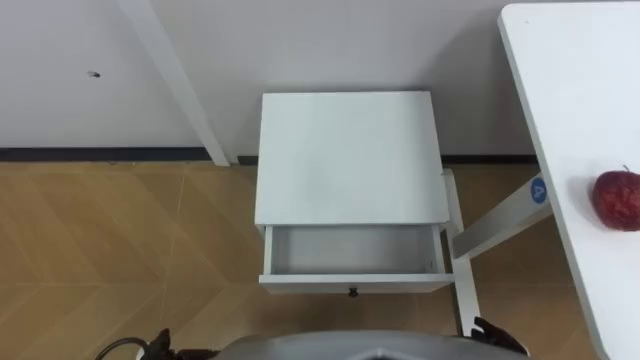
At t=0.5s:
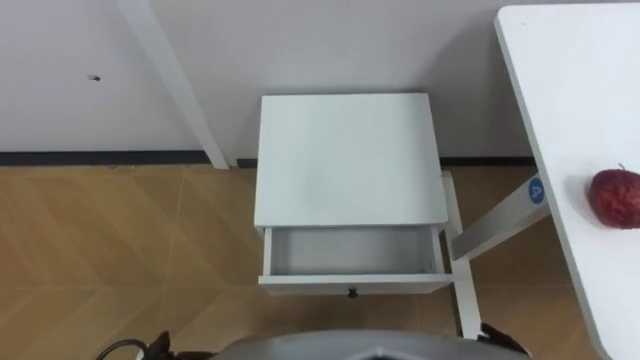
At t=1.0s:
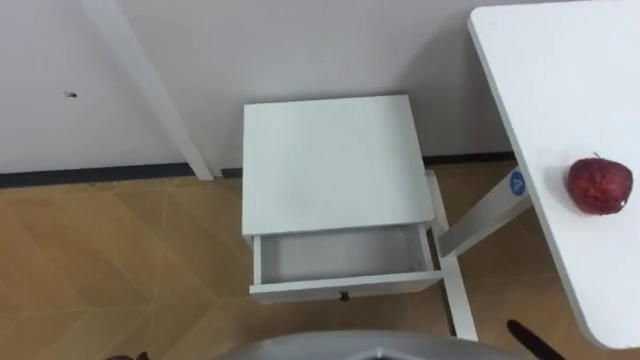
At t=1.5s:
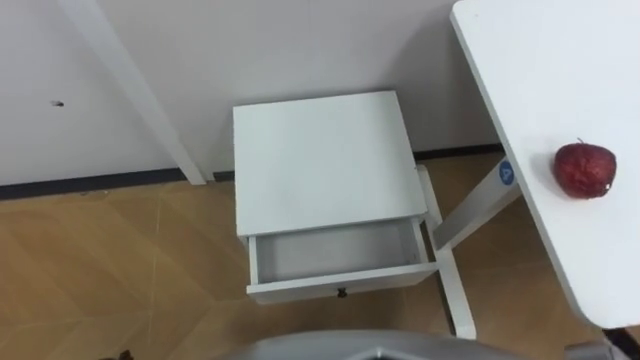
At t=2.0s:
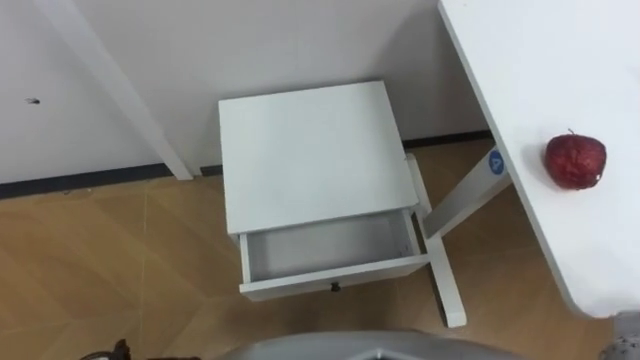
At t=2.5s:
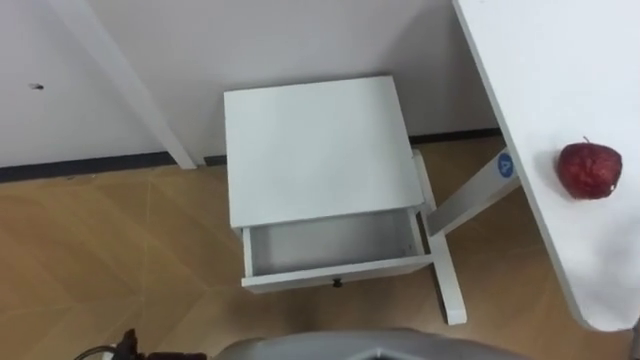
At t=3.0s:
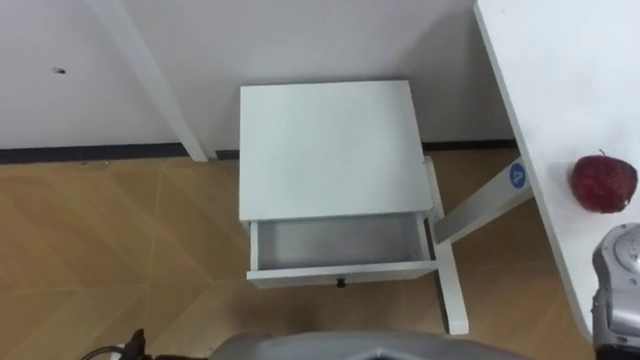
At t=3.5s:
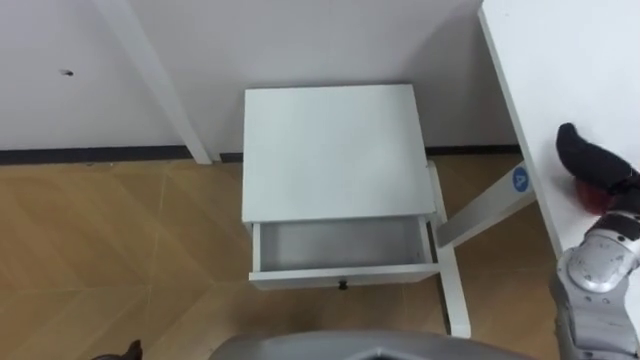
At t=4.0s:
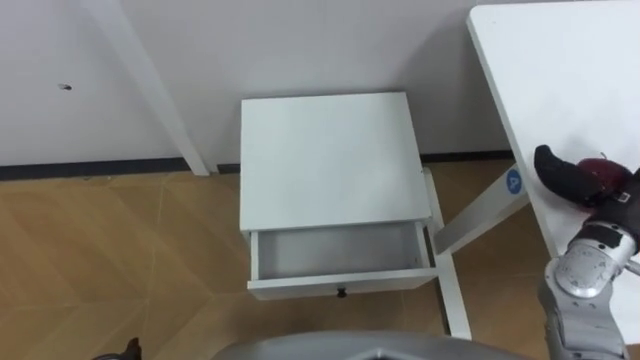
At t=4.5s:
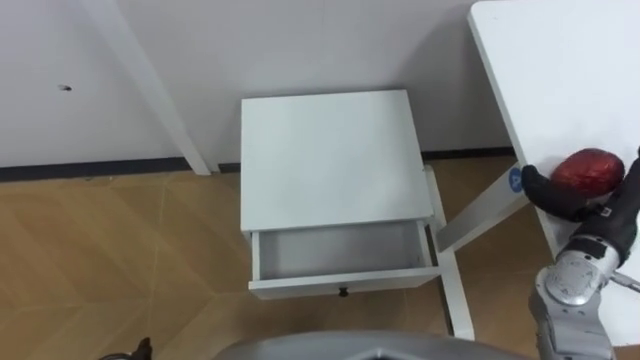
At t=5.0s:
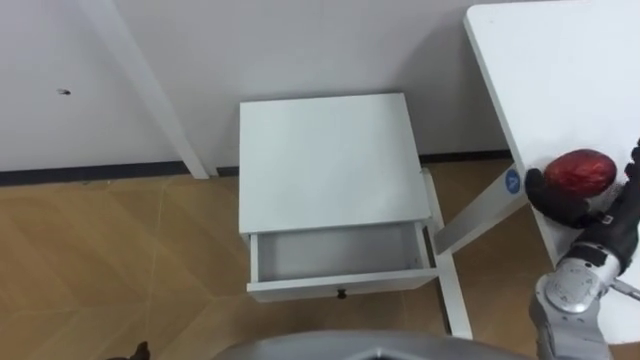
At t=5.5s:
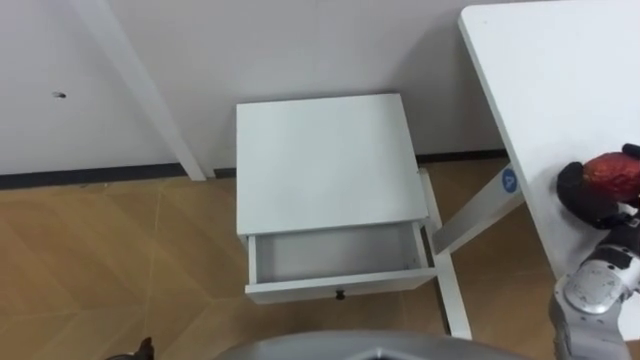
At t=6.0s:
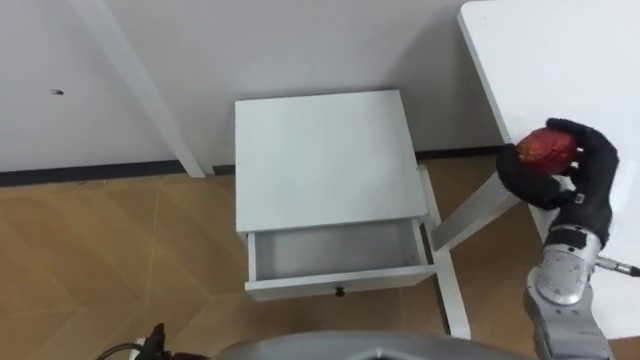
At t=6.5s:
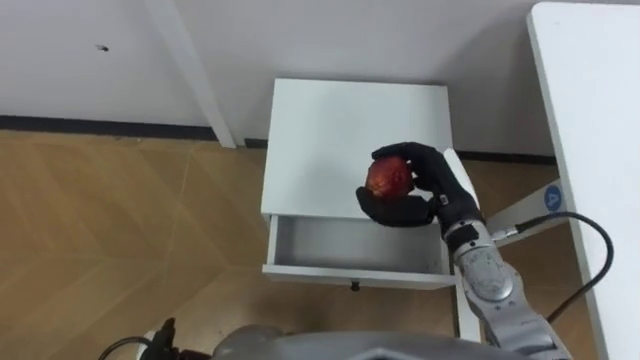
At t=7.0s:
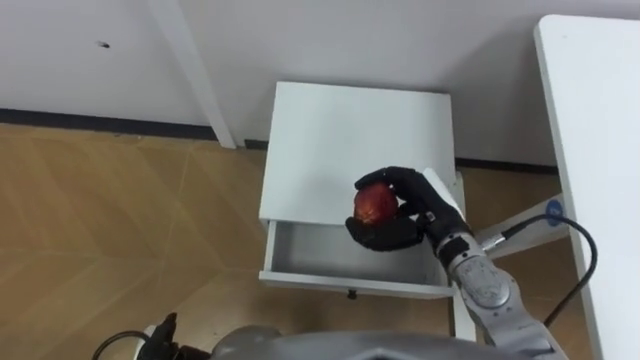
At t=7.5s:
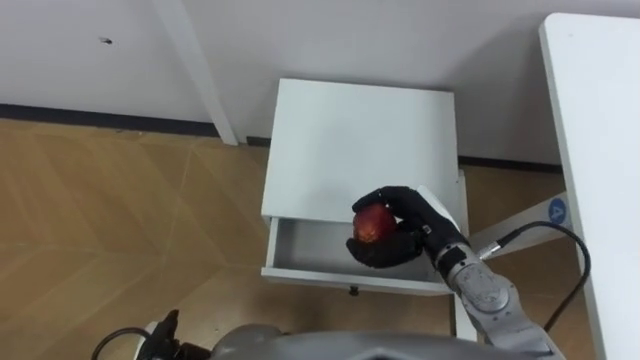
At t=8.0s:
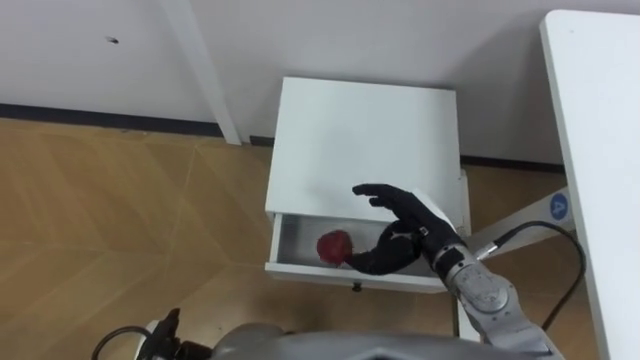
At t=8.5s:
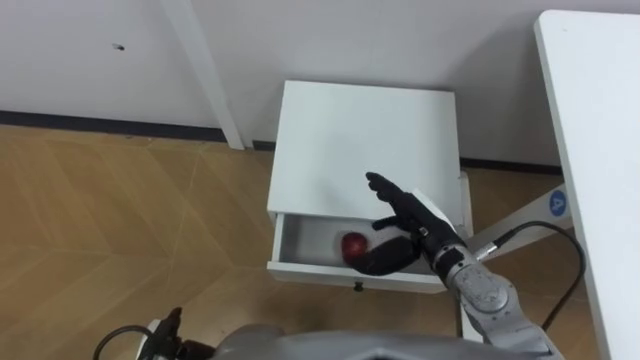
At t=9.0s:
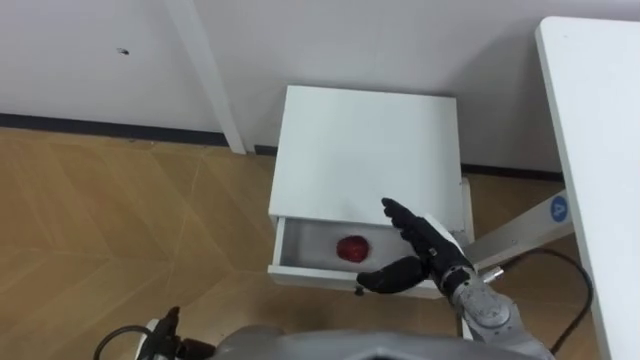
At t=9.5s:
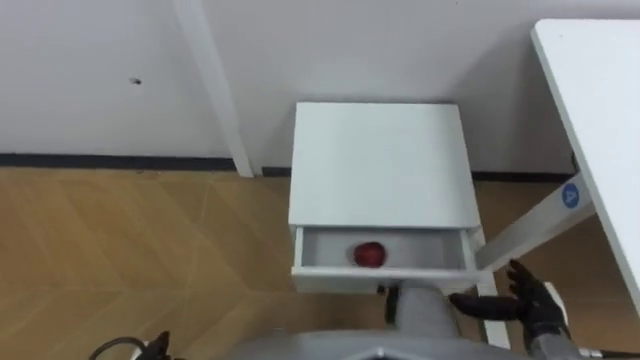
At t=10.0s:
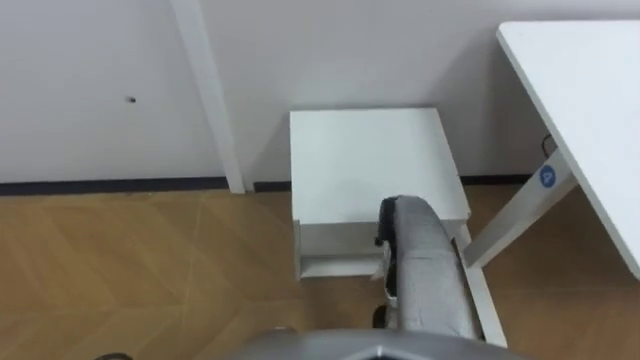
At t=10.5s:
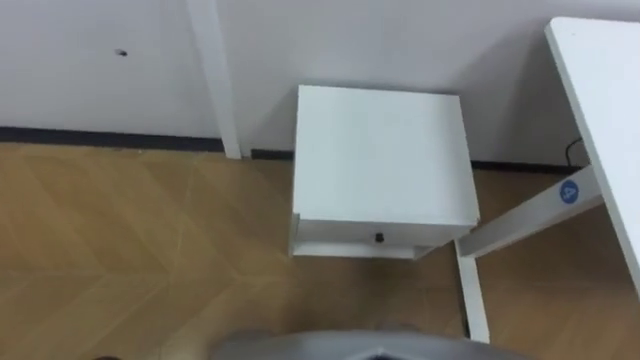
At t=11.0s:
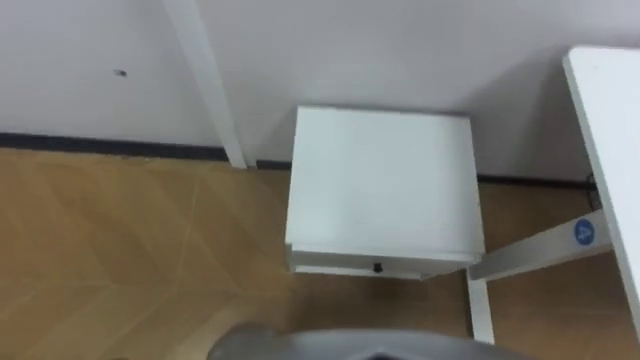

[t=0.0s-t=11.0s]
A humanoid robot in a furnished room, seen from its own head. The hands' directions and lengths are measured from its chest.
Task of the whole recording: Pick up the apple from the table, put it in the drawer, and close the drawer with leg.
t=5.5s to t=7.5s: The right hand goes about 20 cm to the left.
t=7.5s to t=9.0s: The right hand ends up approximately 5 cm from where it was, and opens up.

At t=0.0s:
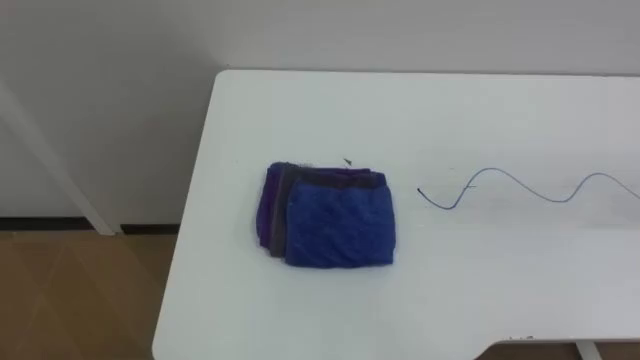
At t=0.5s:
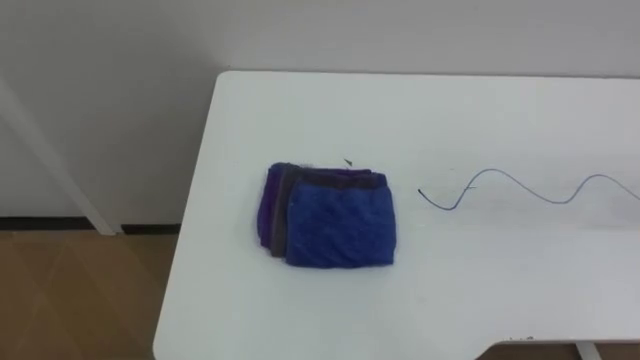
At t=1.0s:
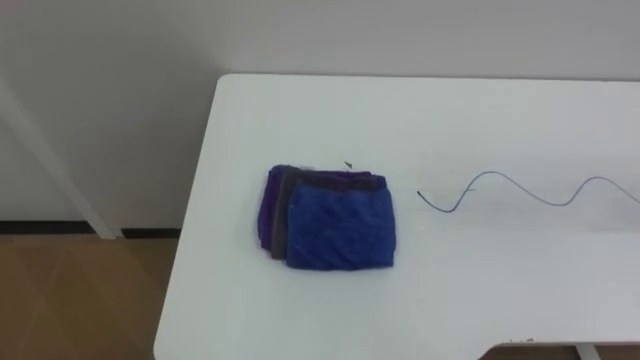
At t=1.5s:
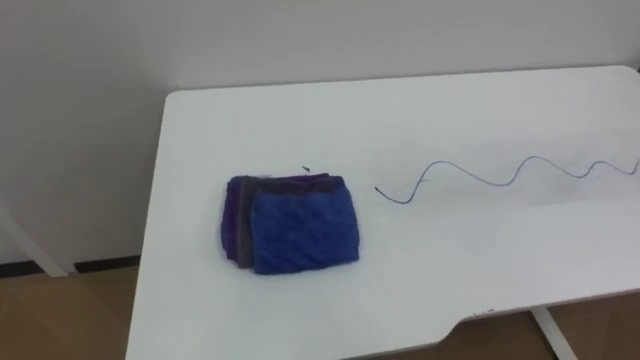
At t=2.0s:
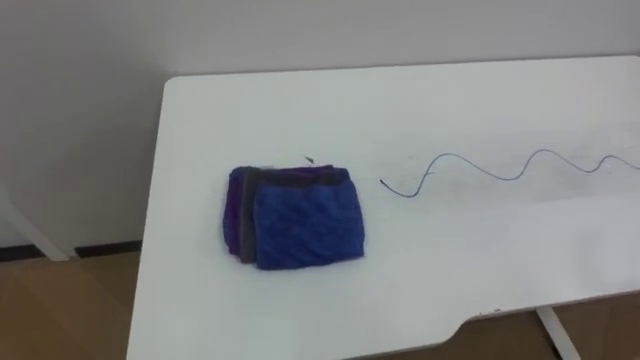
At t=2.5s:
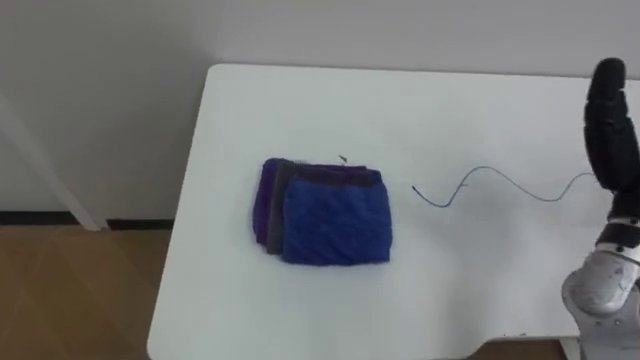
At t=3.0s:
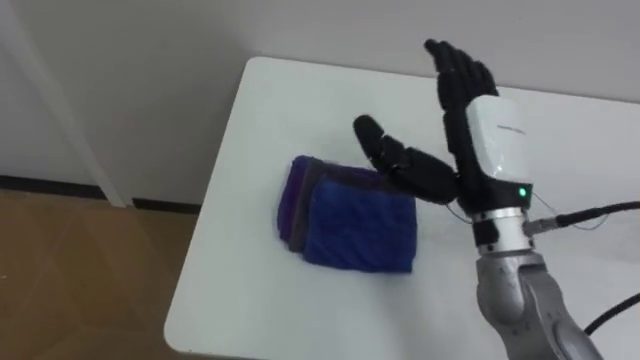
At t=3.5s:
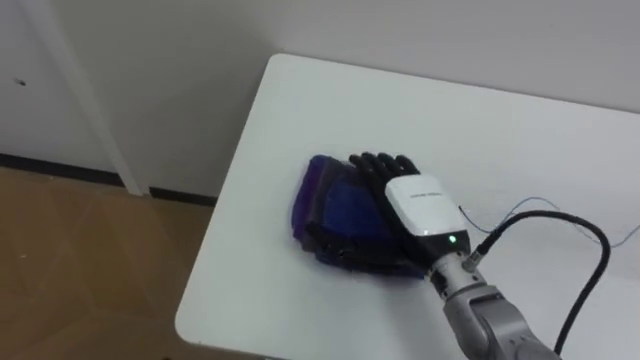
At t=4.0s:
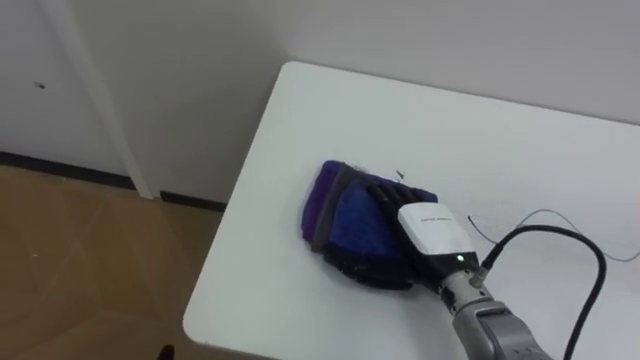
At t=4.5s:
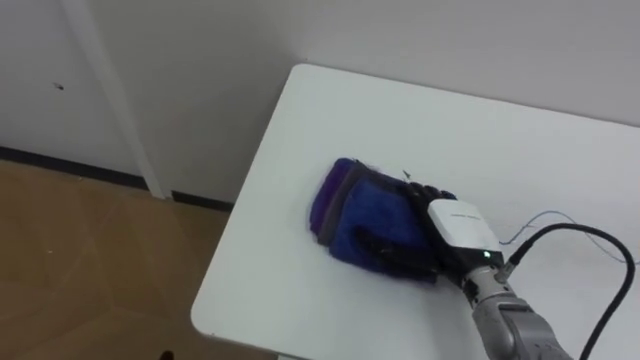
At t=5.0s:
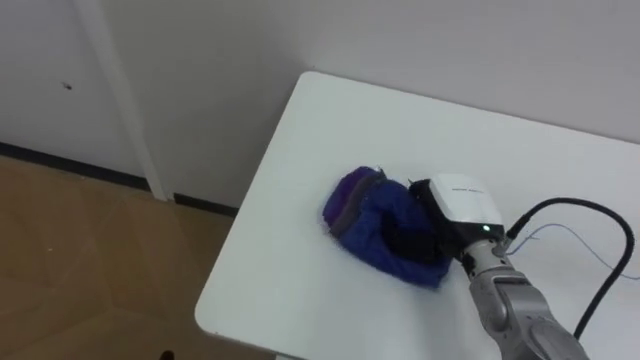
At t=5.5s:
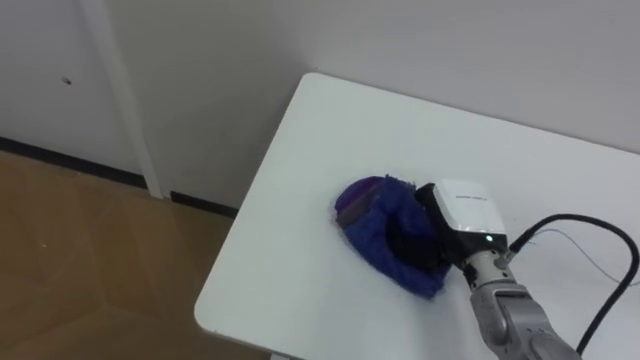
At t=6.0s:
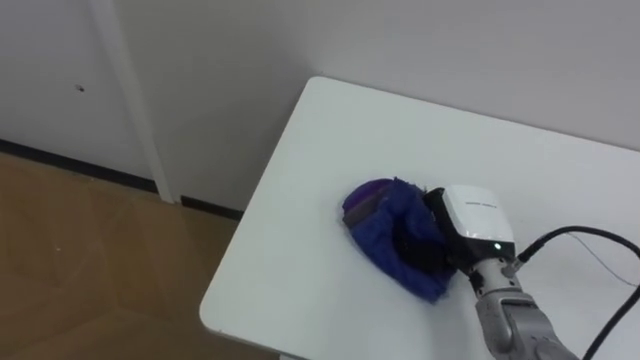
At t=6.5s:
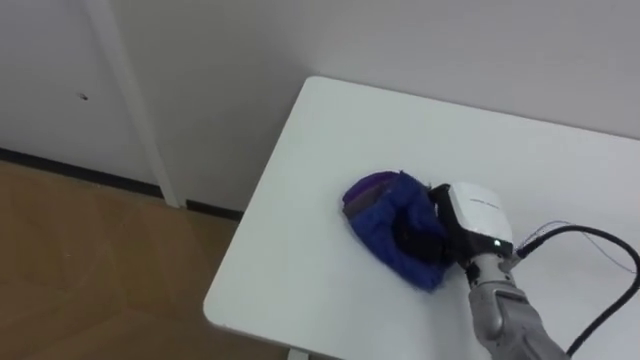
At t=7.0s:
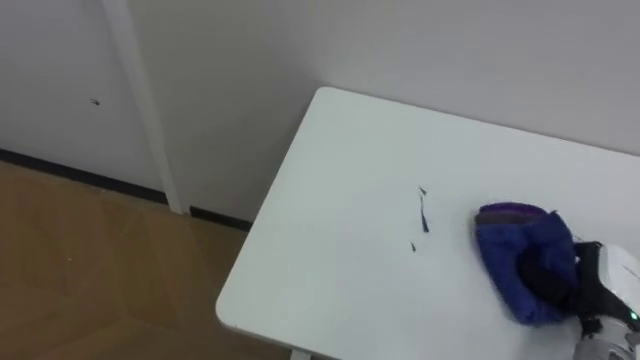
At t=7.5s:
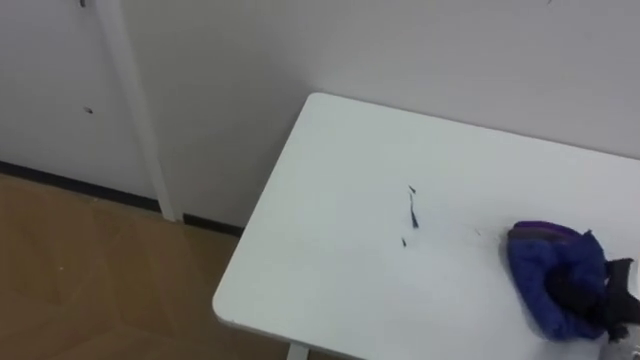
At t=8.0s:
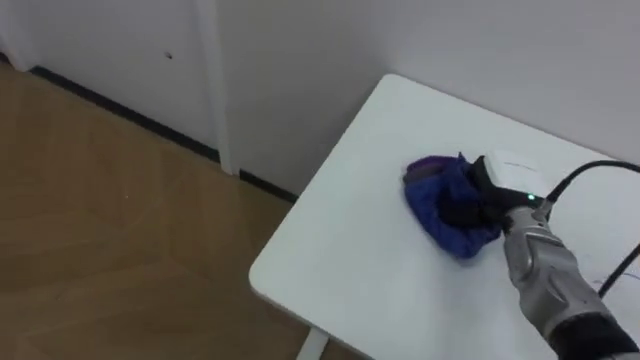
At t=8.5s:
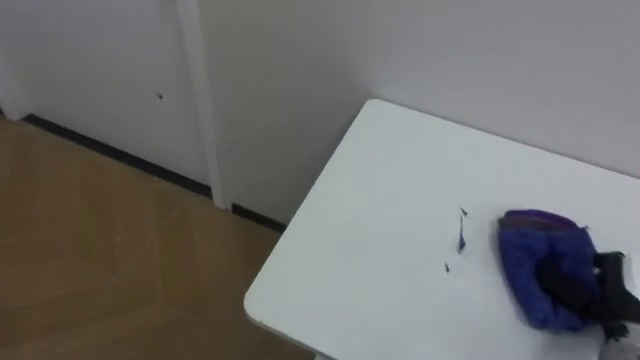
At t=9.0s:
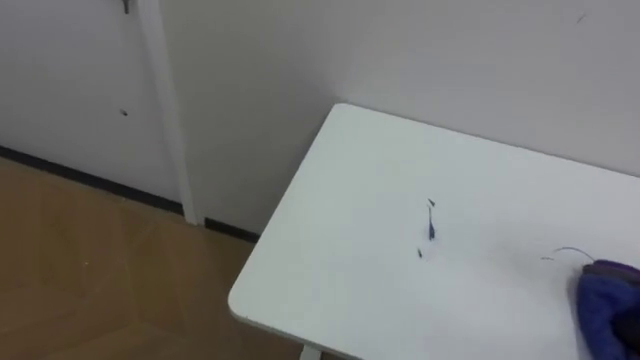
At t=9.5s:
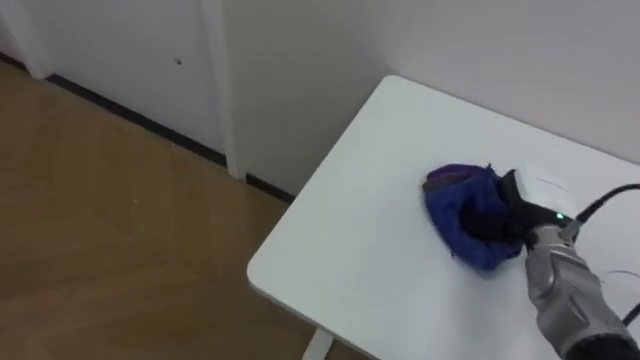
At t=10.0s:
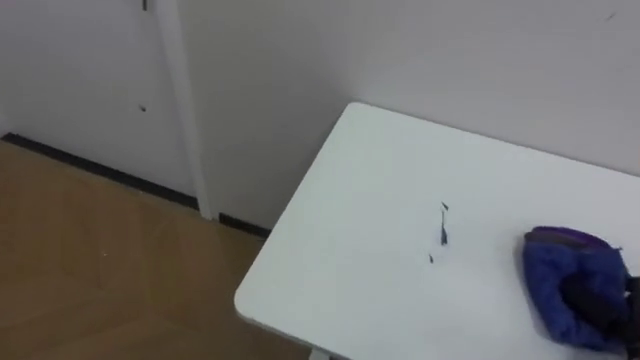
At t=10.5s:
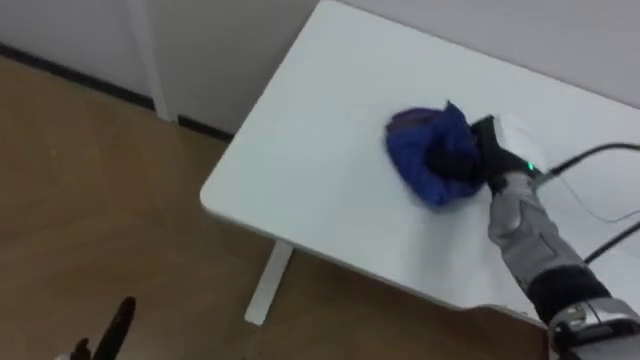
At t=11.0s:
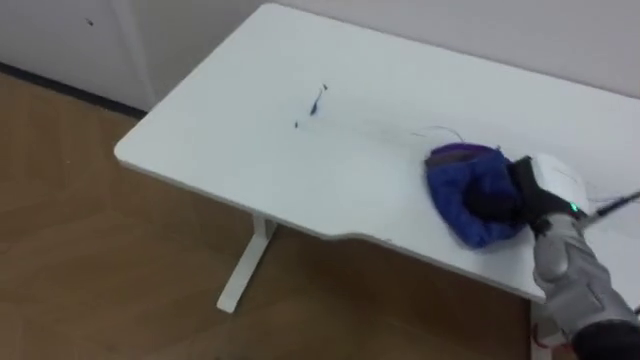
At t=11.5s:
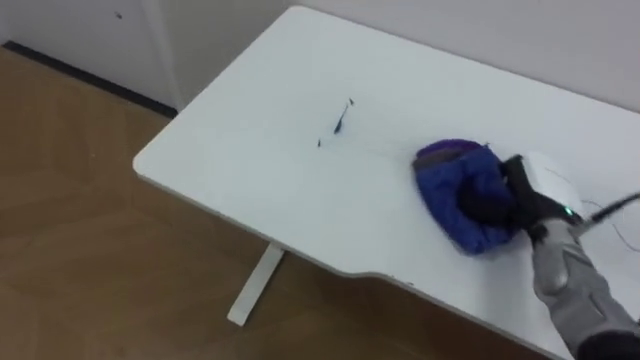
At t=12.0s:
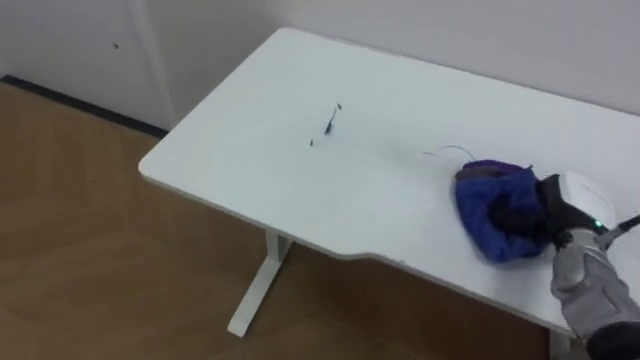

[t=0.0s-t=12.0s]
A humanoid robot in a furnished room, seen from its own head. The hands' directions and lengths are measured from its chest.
Task of the whole recording: Wipe the blue pen marks off the table with the rag.
t=4.0s to t=6.0s: The right hand travels to the right by approximately 5 cm, and closes its fingers.
t=6.0s to t=8.0s: The right hand shifts roughly 5 cm forward, and travels to the right and back again, approximately 20 cm each way.
